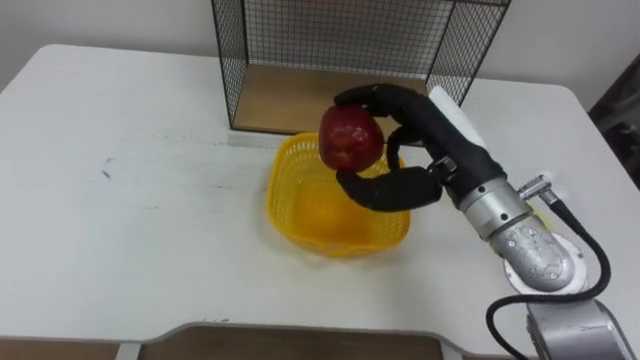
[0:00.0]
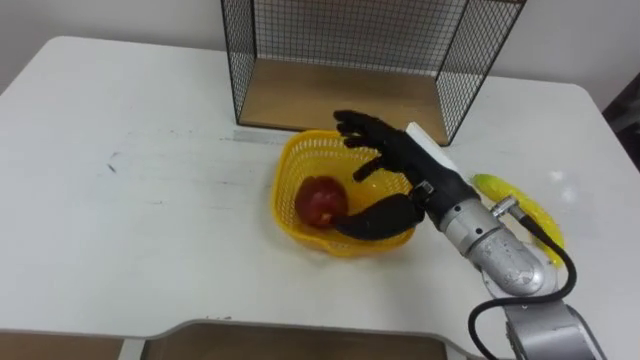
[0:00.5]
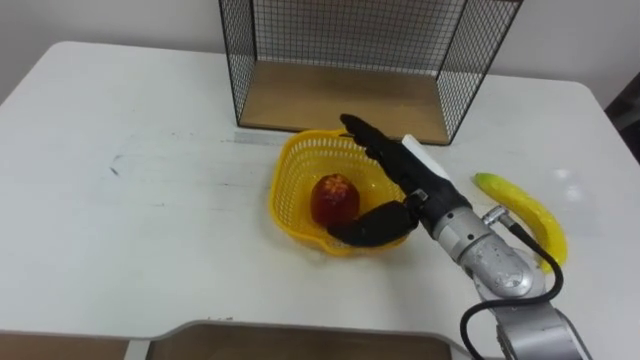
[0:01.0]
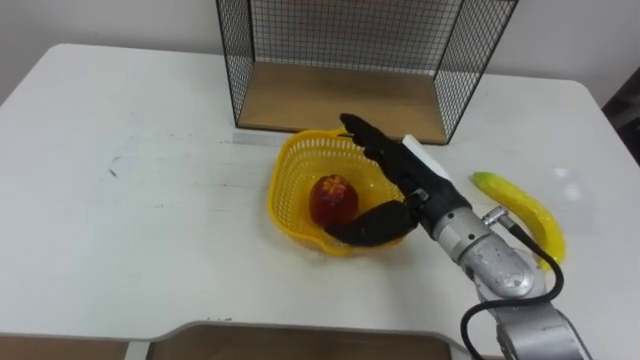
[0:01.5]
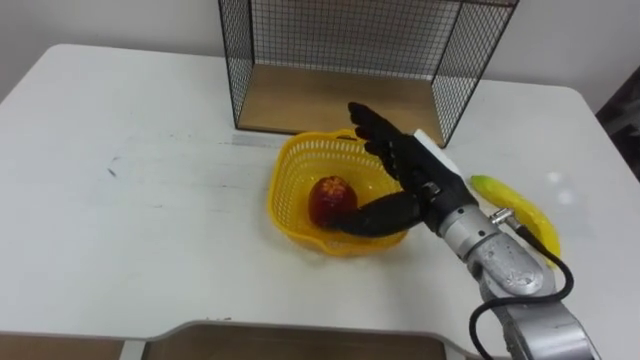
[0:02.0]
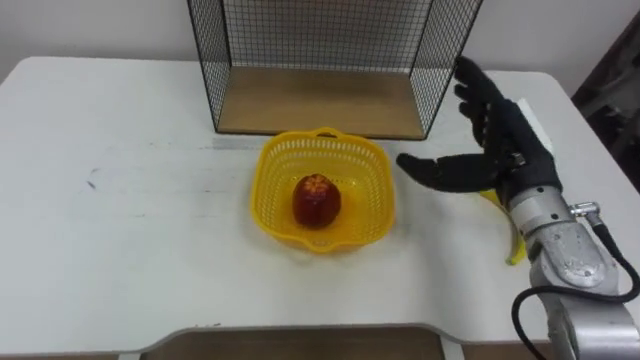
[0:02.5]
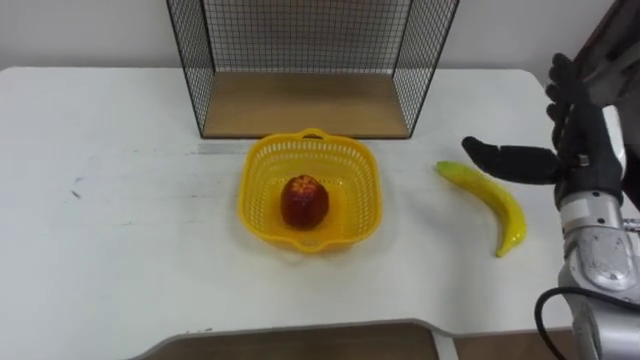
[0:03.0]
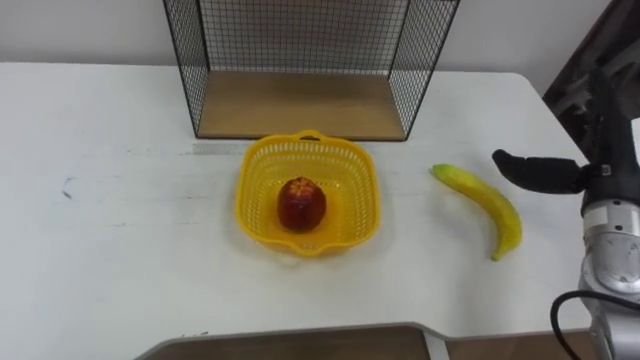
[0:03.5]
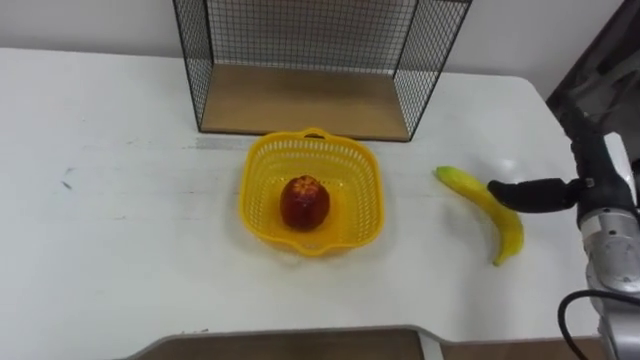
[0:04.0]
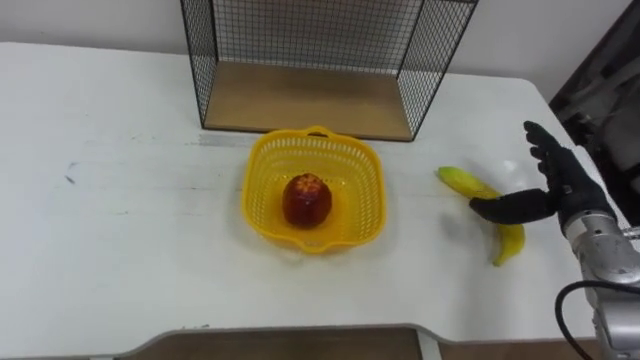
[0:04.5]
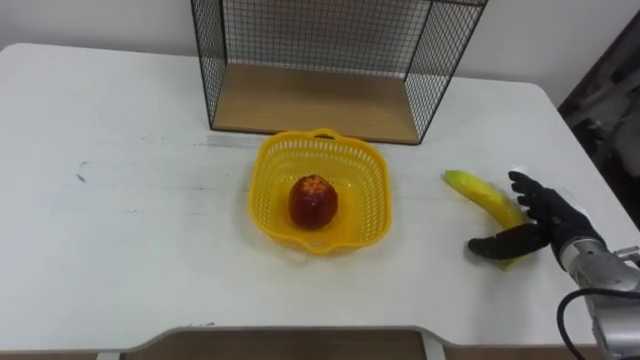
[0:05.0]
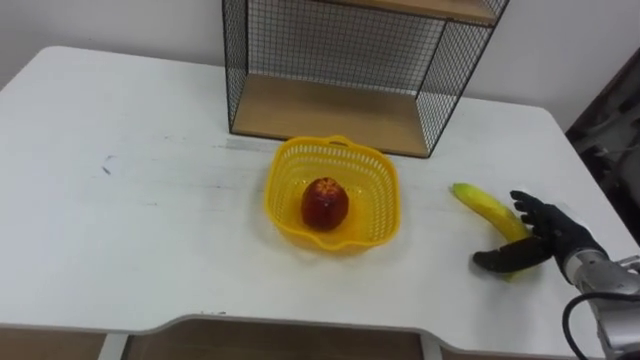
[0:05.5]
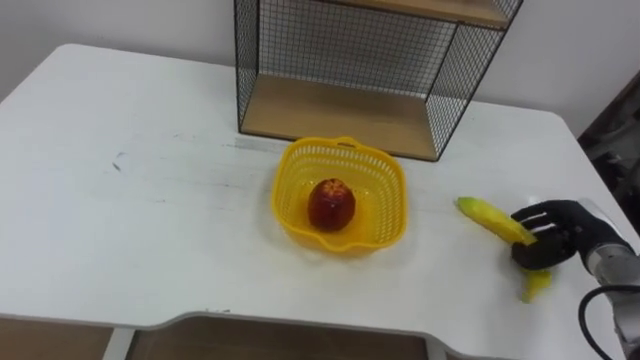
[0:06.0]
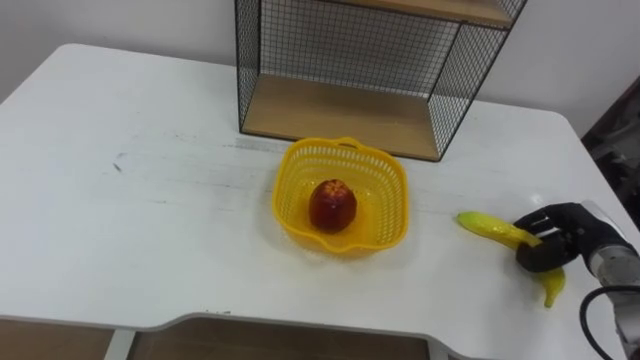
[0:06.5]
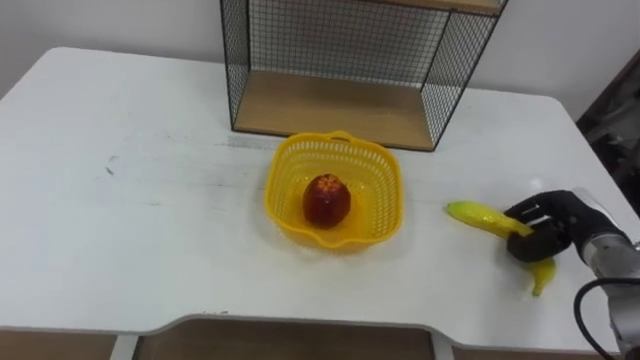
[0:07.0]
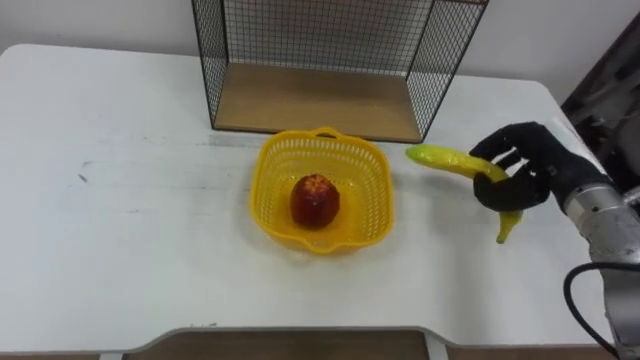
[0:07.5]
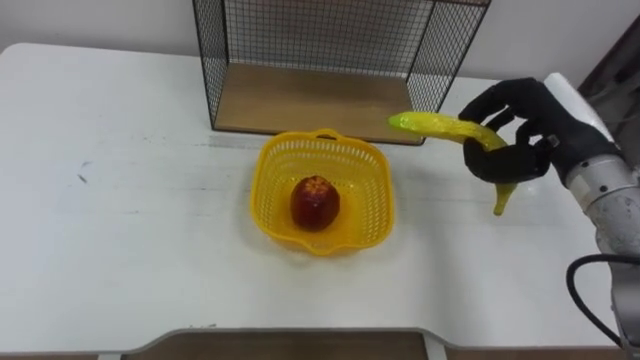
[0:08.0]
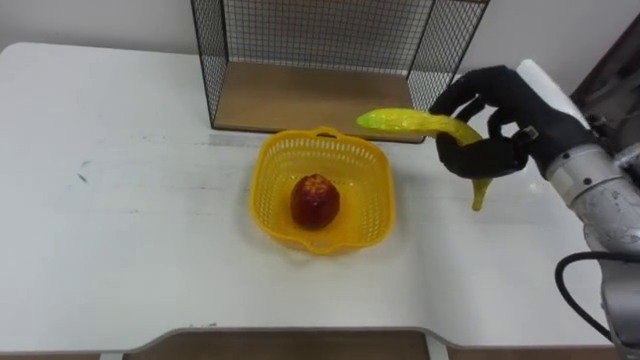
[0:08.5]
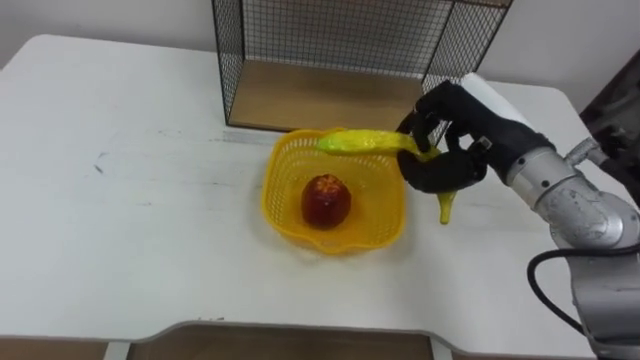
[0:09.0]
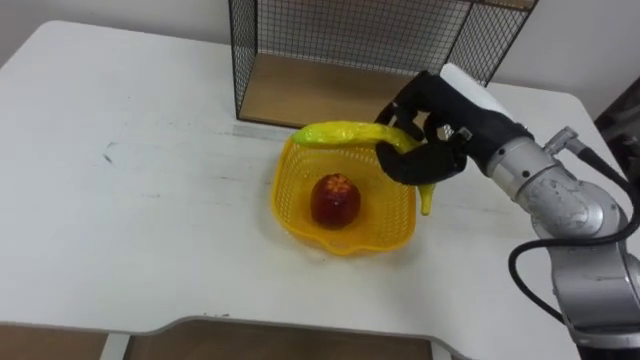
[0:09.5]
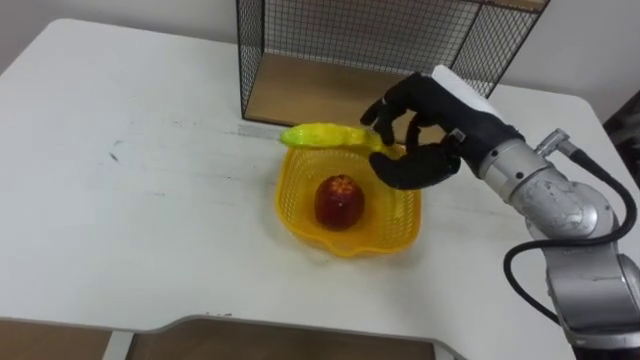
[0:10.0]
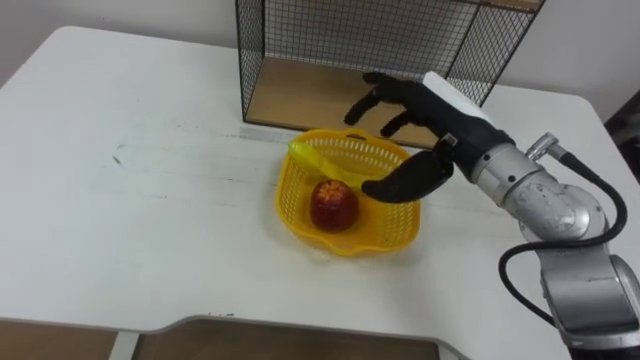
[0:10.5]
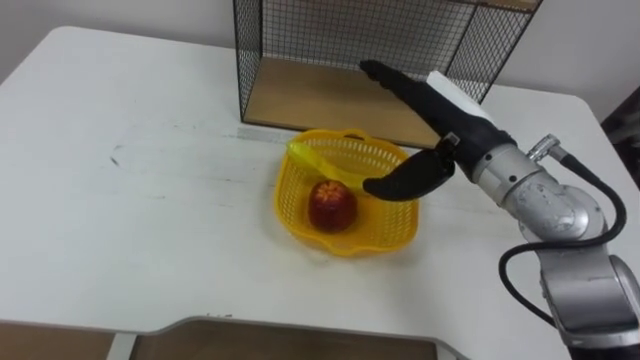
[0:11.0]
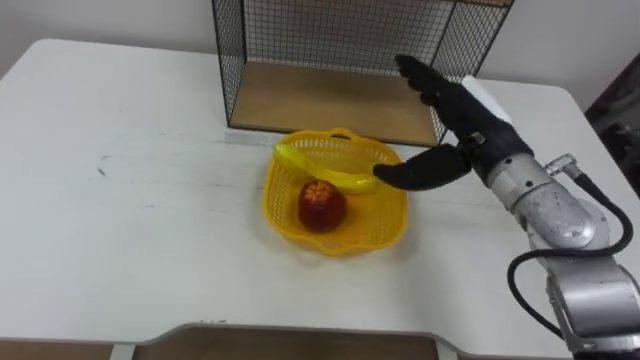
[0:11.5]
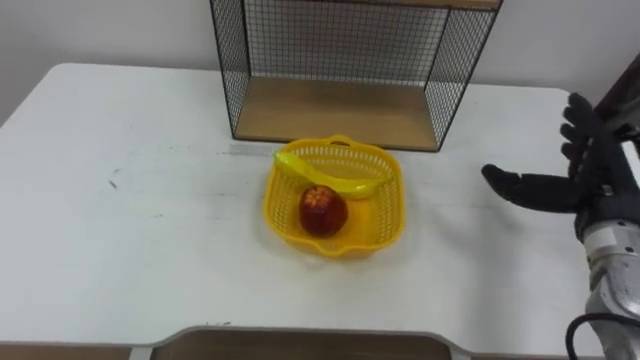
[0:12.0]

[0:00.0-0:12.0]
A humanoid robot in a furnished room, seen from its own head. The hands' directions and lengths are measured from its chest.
Task of the whole recording: Put the fruit on the table into the basket, then place the basket on the shelf.
0.0 to 2.0 s: The right hand shifts approximately 5 cm downward, and opens.
2.0 to 4.0 s: The right hand heads to the right, covering approximately 20 cm.
4.0 to 6.0 s: The right hand goes some 10 cm downward, and closes.
6.0 to 8.0 s: The right hand shifts approximately 20 cm upward and to the left.
8.0 to 10.0 s: The right hand is displaced to the left by approximately 10 cm.
10.0 to 12.0 s: The right hand goes approximately 20 cm to the right and downward, and opens.

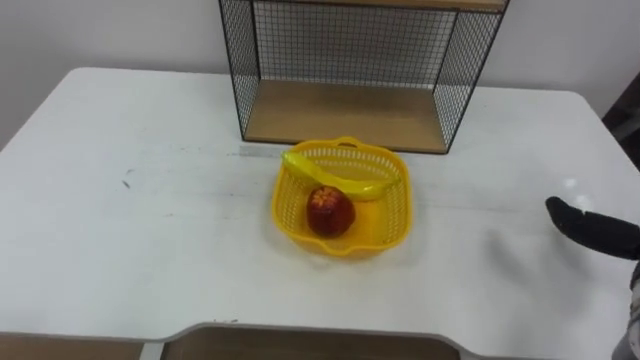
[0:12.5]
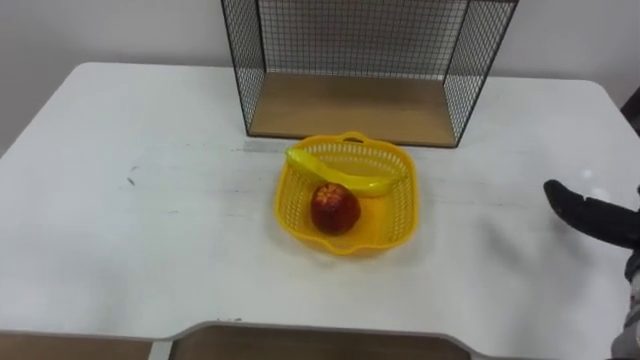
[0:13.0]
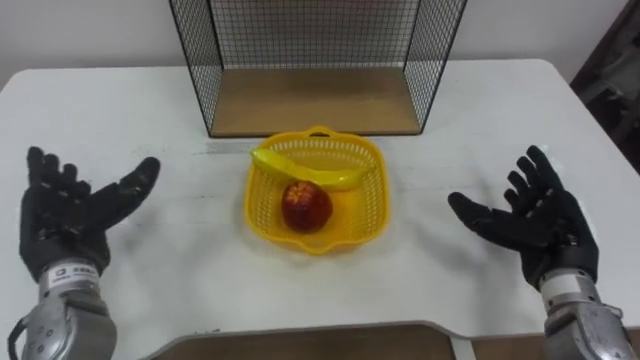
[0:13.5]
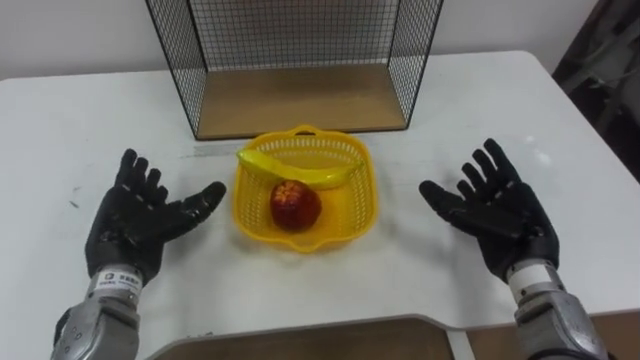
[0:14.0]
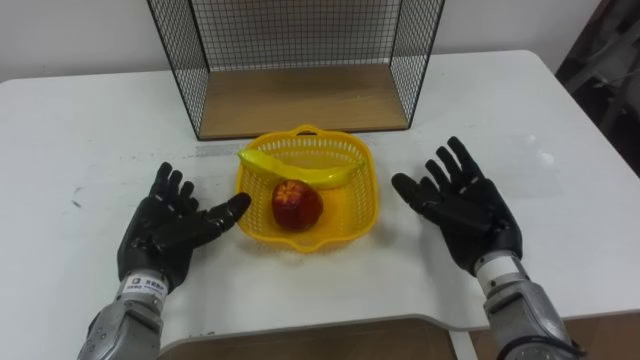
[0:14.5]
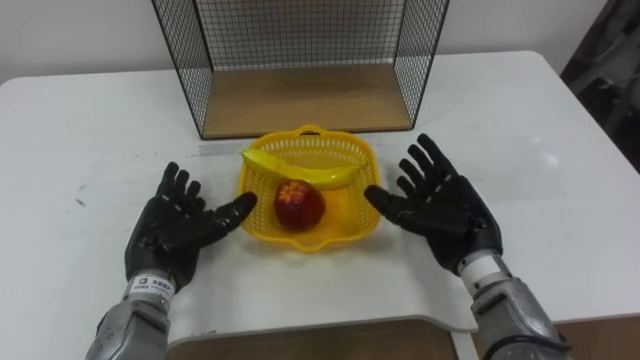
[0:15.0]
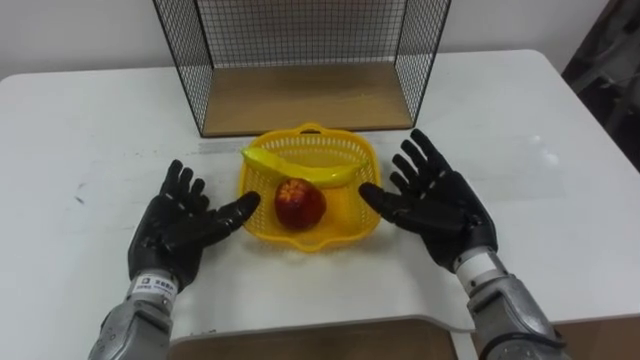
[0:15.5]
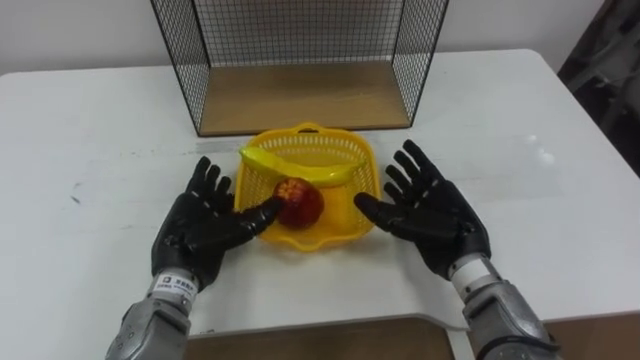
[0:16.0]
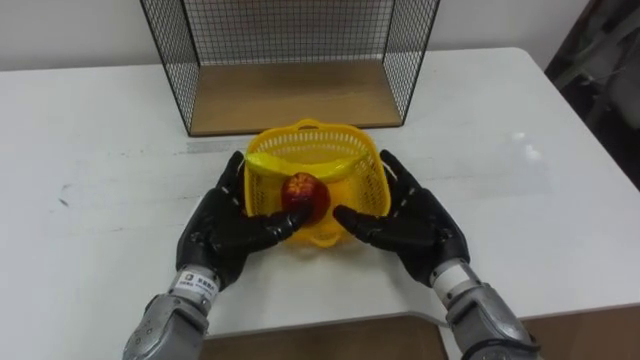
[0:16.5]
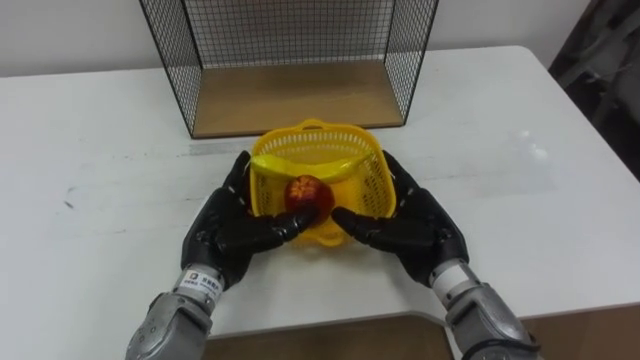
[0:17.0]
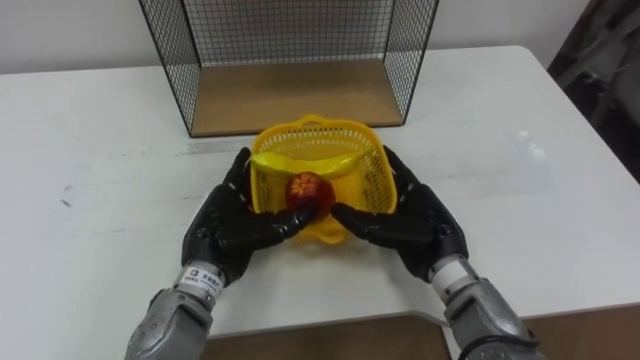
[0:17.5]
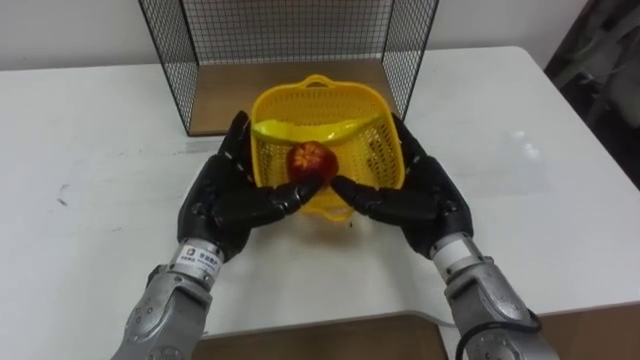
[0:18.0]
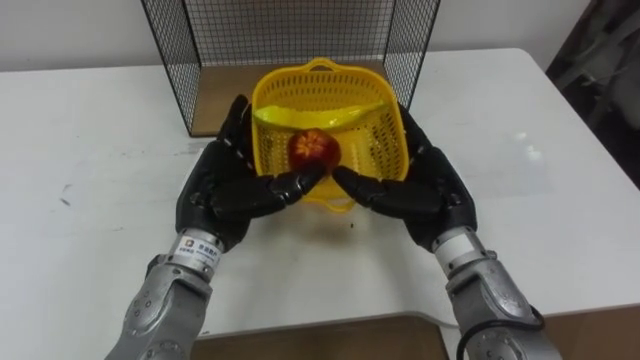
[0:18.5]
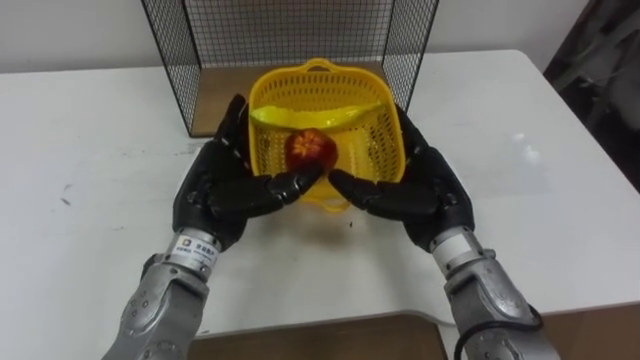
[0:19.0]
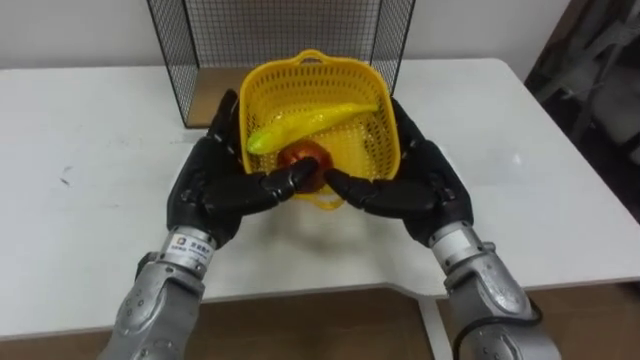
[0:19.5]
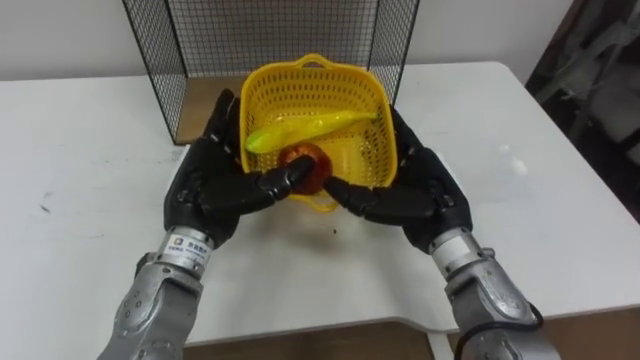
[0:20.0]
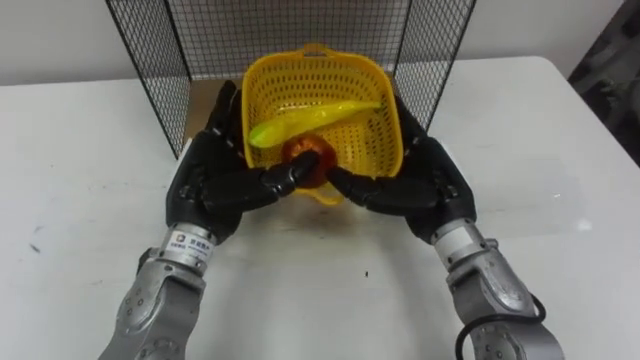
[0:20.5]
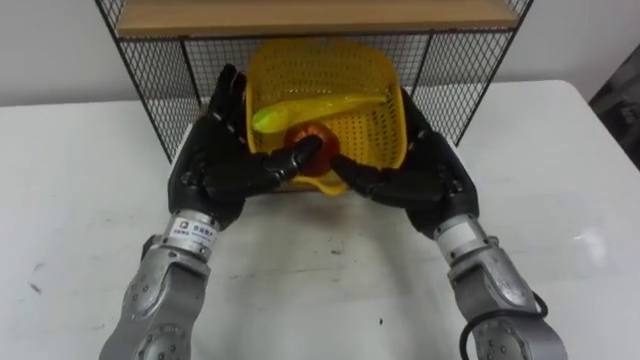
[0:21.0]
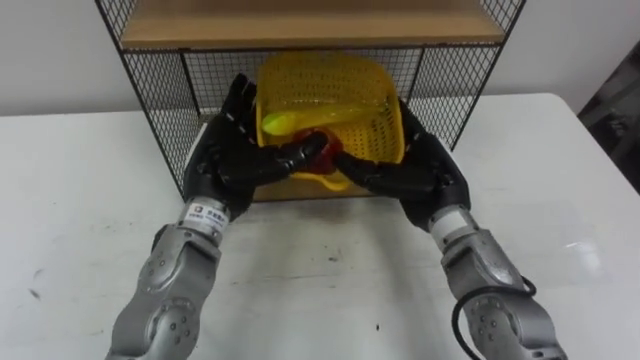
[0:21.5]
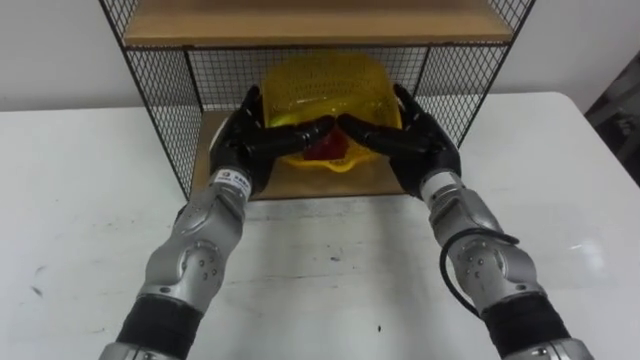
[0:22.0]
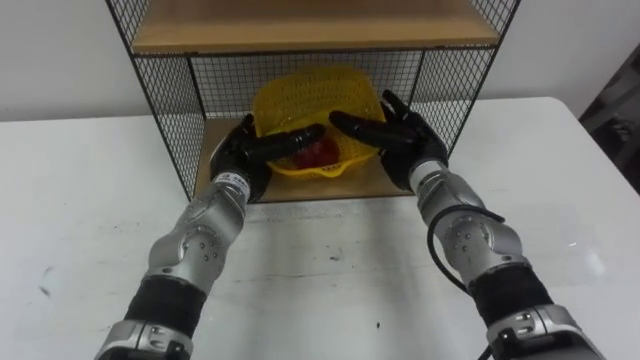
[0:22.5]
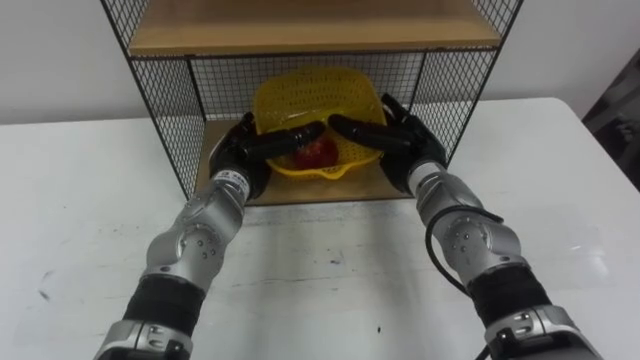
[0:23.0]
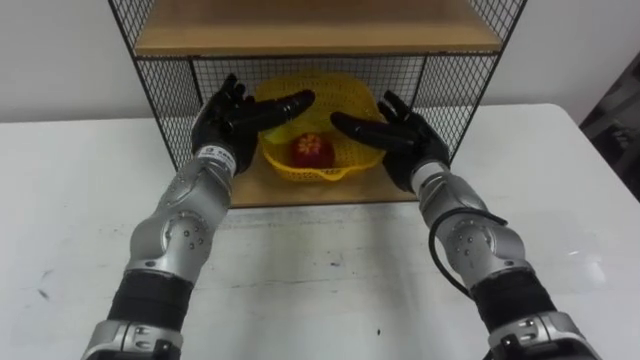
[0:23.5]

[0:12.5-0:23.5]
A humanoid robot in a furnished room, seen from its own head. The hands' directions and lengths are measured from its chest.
Task of the whole recording: Put the fruit on the table into the basket, then place the basket on the shelf.
14.5 to 16.0 s: The hands move only a little.
16.0 to 18.0 s: The left hand moves upward, approximately 5 cm.
21.5 to 23.5 s: Both hands move forward, some 5 cm.
